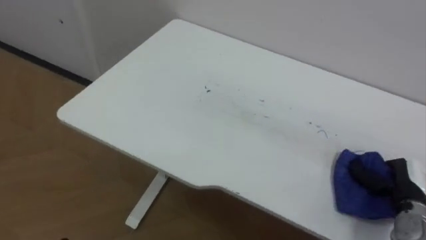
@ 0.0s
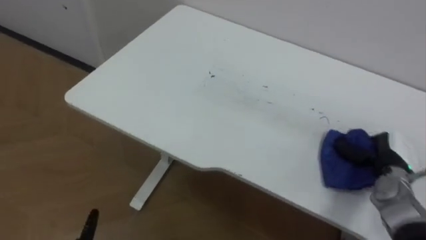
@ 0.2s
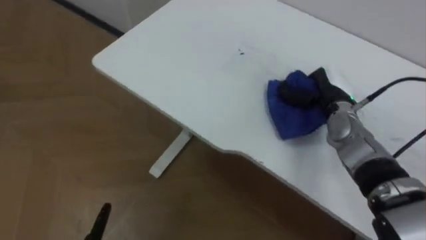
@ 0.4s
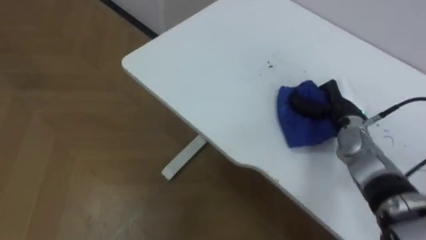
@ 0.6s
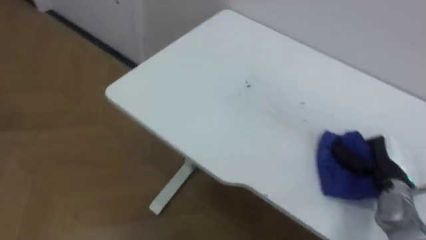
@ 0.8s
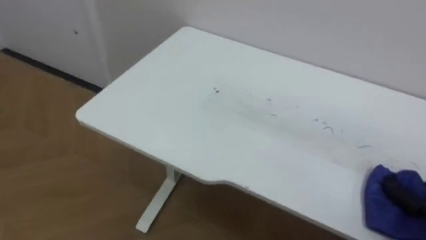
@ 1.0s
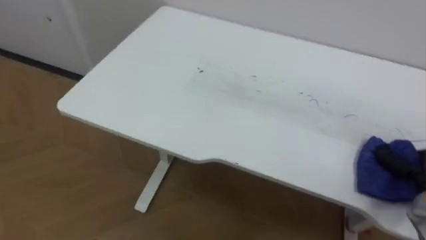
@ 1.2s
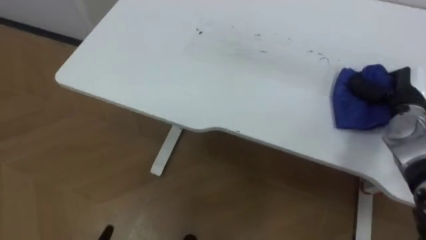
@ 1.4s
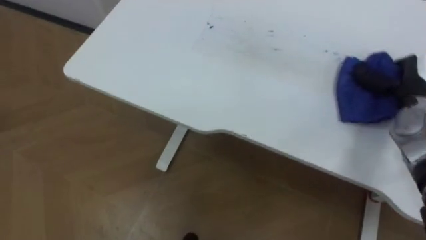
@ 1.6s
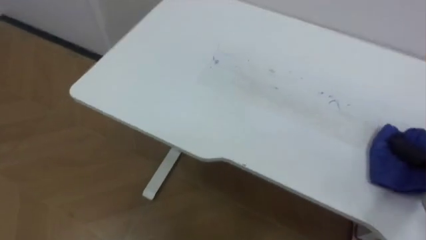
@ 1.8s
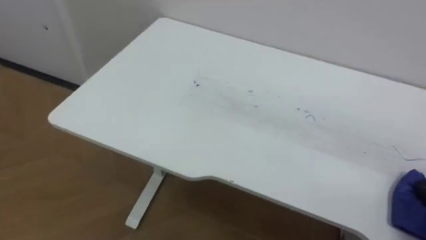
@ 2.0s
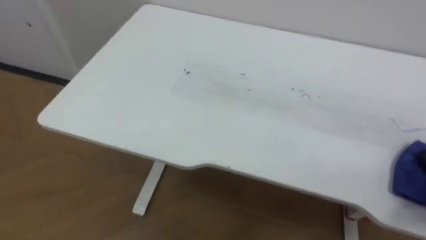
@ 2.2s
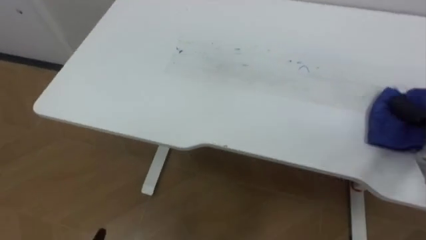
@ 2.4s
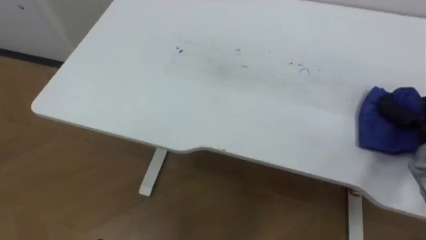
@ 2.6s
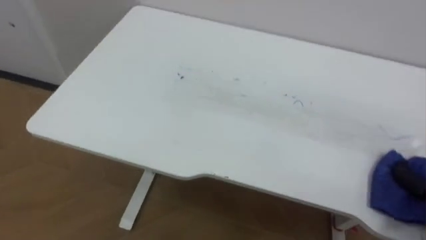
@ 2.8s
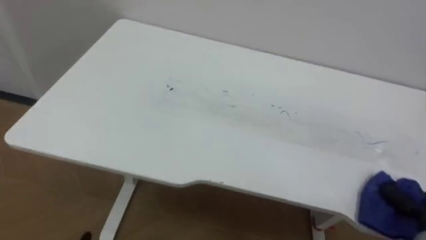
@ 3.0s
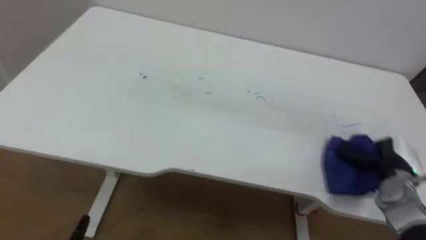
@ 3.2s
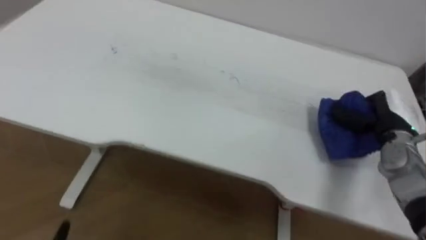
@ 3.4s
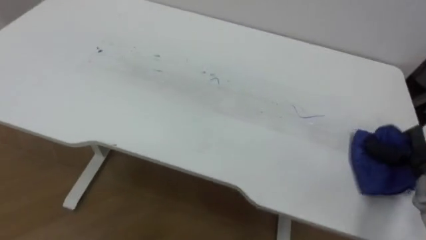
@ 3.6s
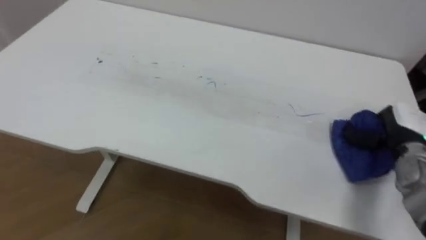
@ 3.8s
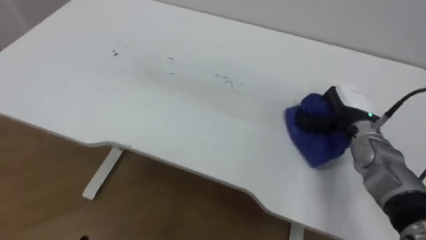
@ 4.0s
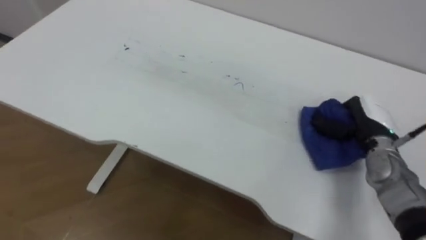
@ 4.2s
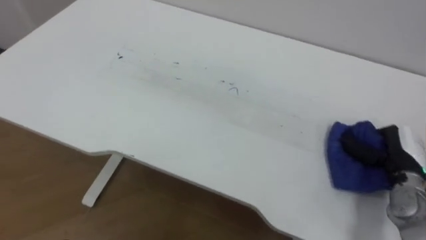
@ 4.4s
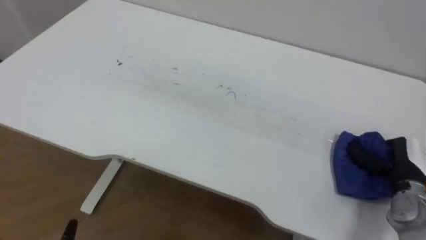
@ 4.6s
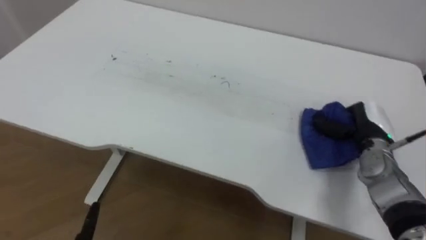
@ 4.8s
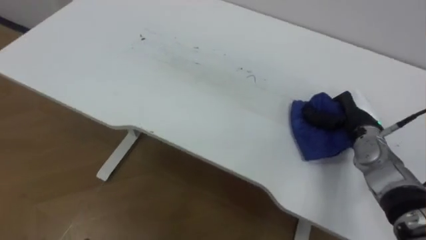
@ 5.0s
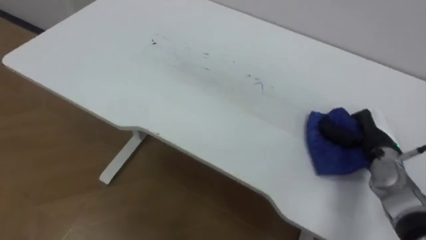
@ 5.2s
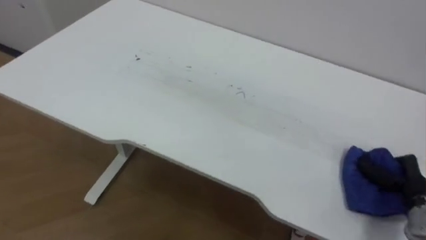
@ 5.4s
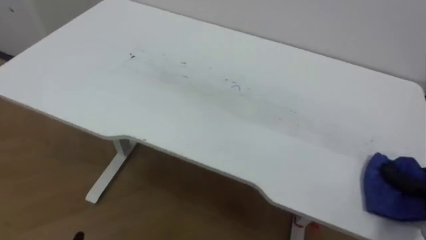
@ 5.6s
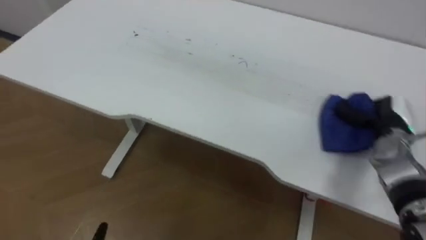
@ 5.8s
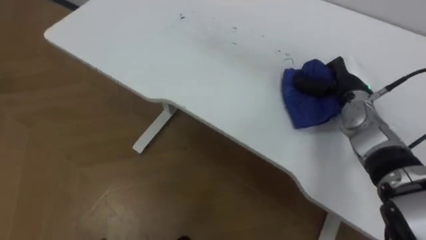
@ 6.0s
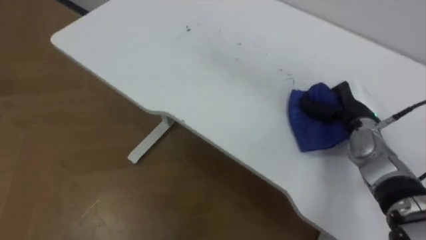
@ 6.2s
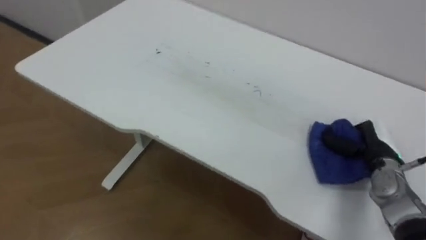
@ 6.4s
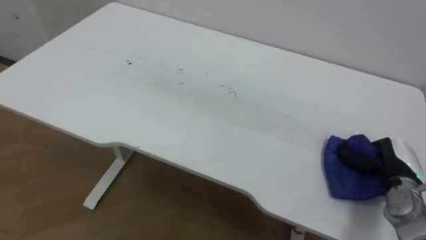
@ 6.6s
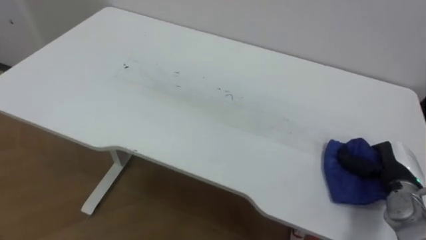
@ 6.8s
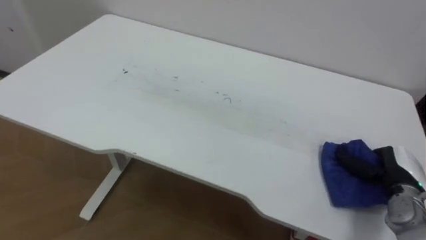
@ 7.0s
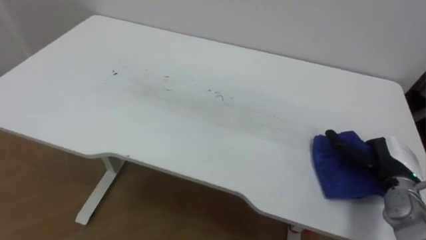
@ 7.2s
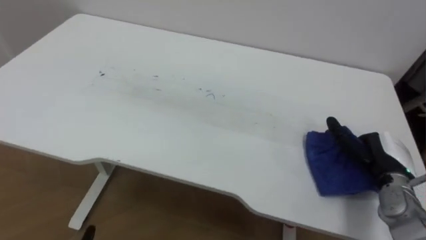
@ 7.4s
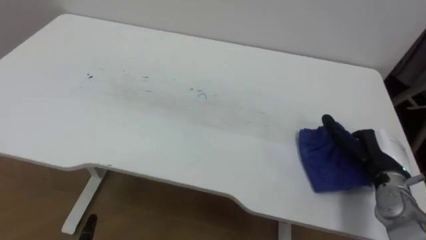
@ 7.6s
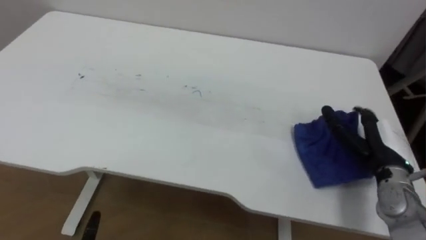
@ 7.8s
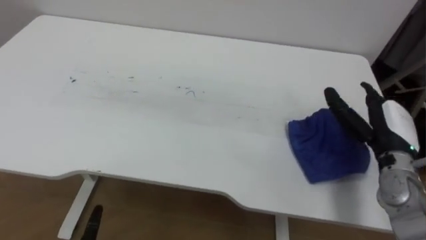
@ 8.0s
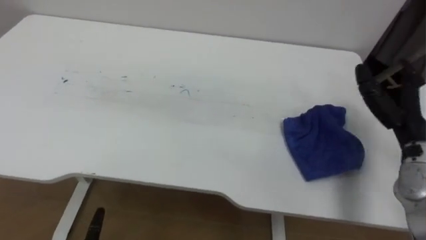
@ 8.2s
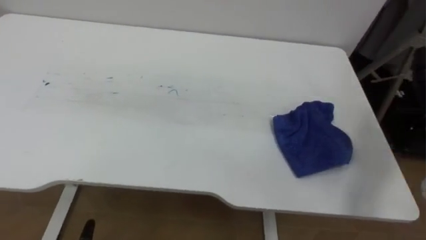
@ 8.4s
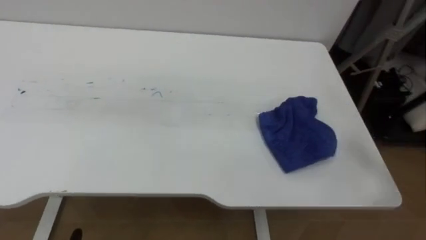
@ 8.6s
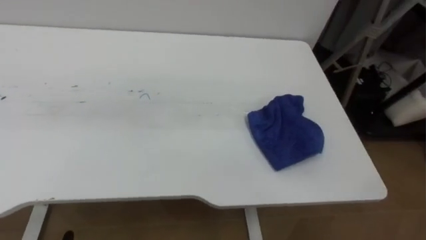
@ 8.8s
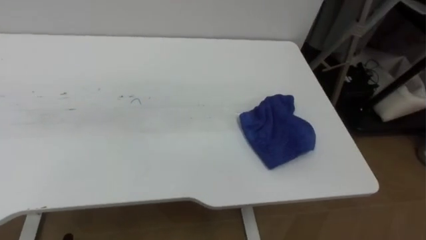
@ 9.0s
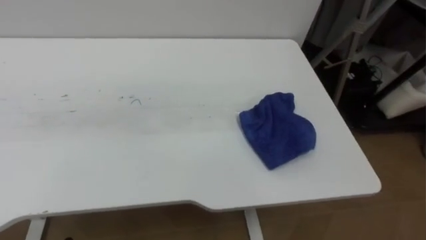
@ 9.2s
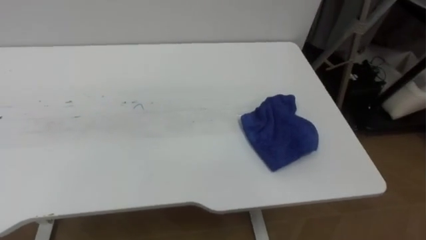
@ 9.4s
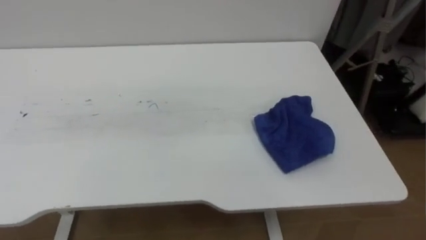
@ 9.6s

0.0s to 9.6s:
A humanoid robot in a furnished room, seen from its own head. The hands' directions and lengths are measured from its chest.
Task of the whole recording: Wipe the blue pen marks off the table with the rag.
3.2s to 4.8s: The right hand goes left and right, approximately 15 cm each way, reversing 2 times.
6.4s to 8.0s: The right hand heads upward, covering about 5 cm, and opens.

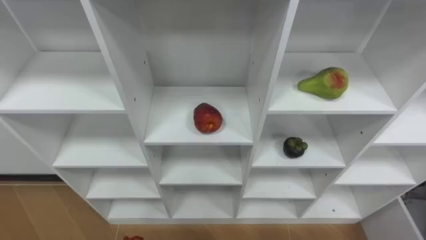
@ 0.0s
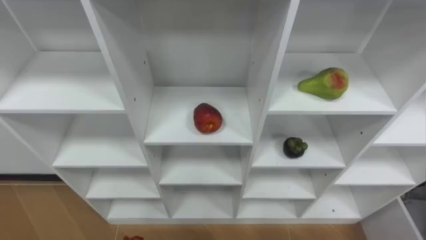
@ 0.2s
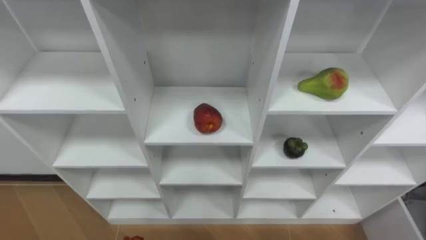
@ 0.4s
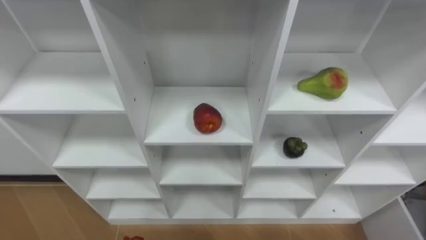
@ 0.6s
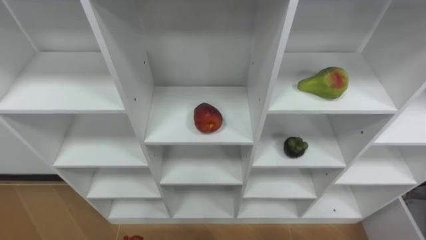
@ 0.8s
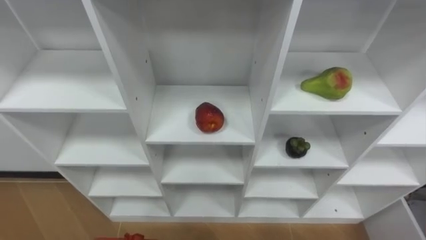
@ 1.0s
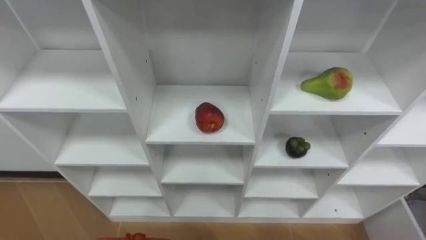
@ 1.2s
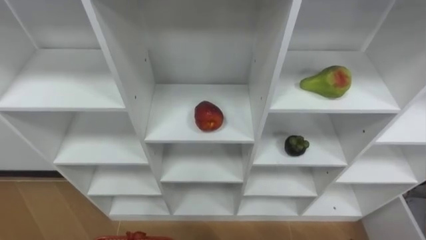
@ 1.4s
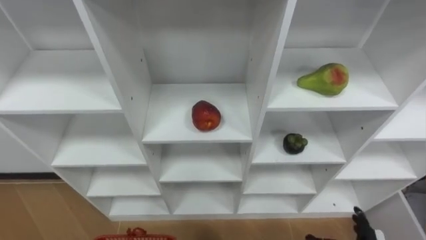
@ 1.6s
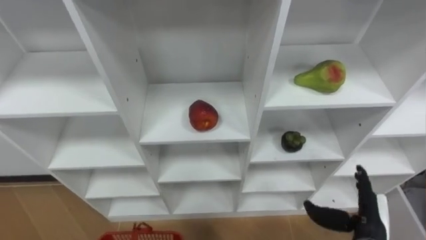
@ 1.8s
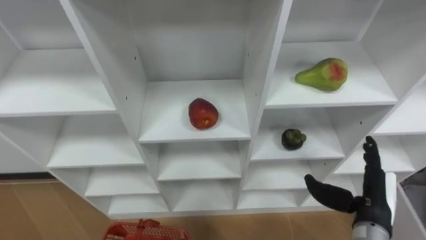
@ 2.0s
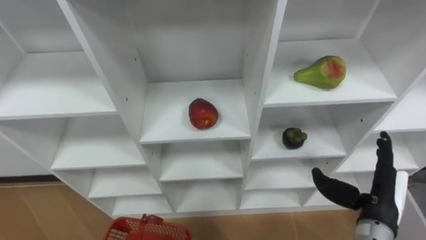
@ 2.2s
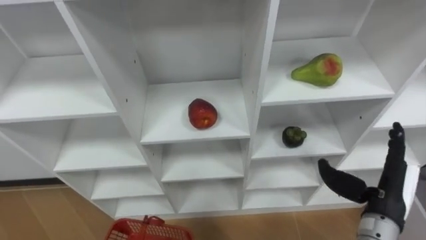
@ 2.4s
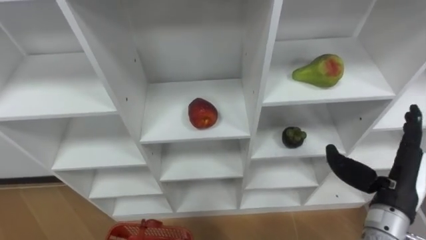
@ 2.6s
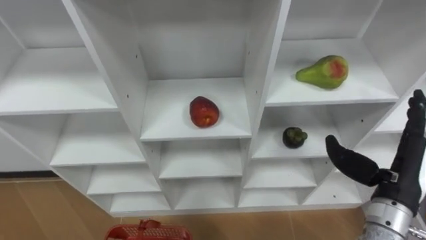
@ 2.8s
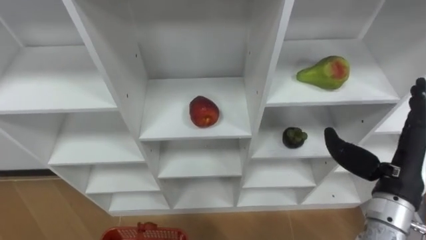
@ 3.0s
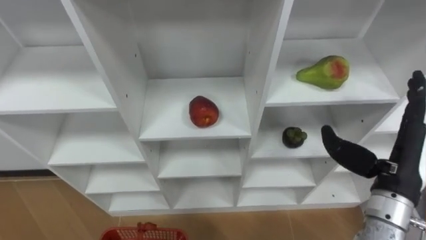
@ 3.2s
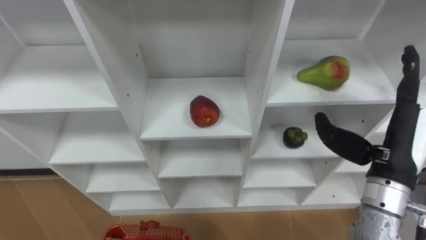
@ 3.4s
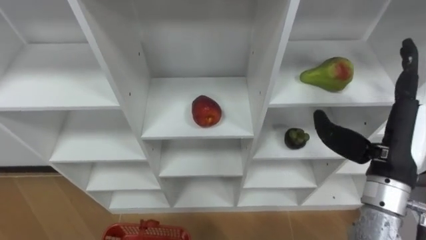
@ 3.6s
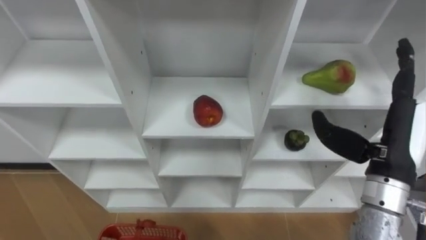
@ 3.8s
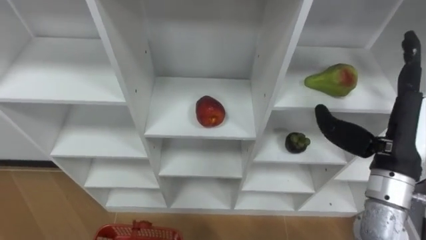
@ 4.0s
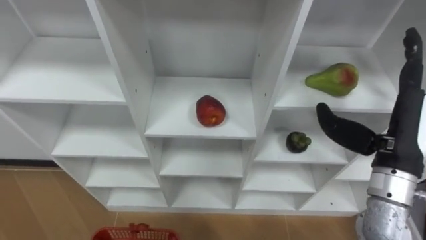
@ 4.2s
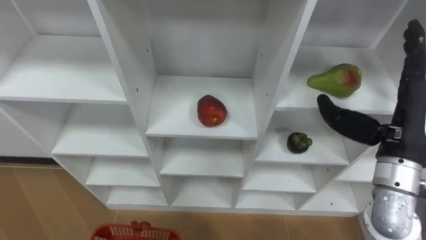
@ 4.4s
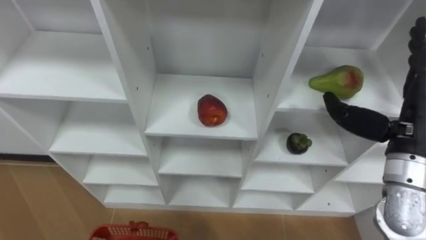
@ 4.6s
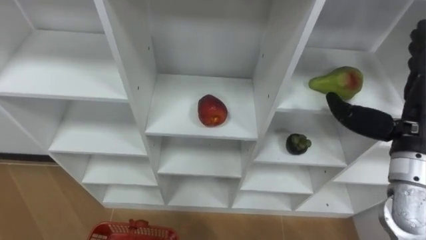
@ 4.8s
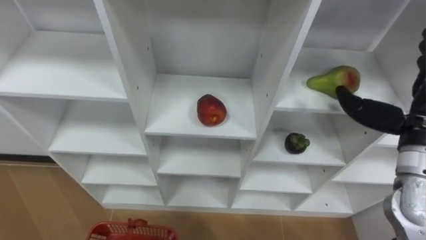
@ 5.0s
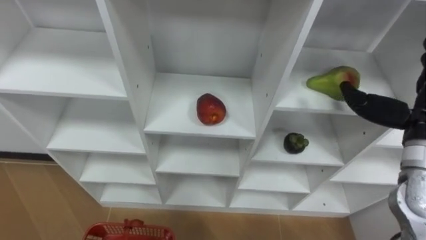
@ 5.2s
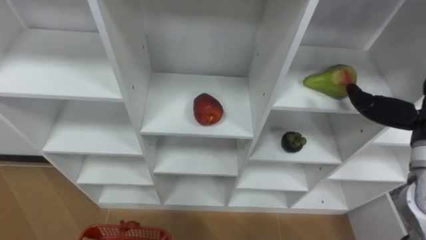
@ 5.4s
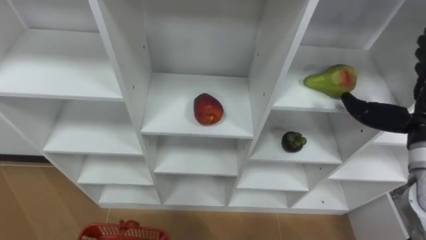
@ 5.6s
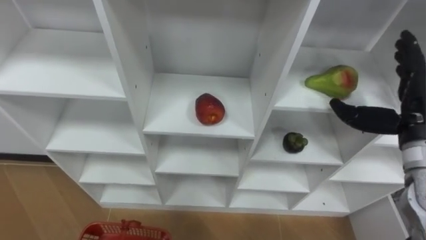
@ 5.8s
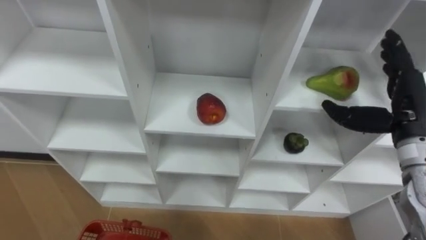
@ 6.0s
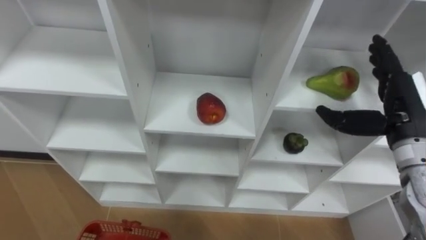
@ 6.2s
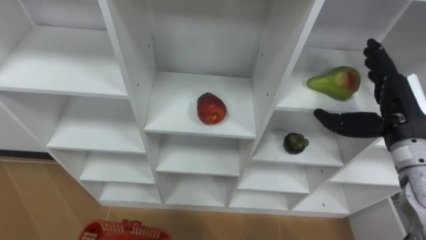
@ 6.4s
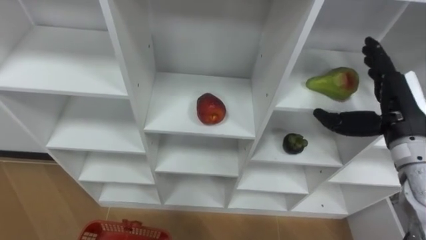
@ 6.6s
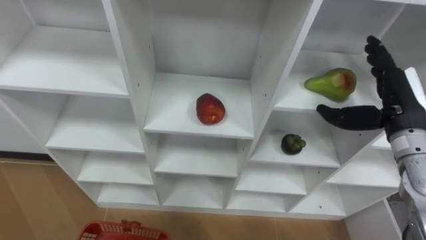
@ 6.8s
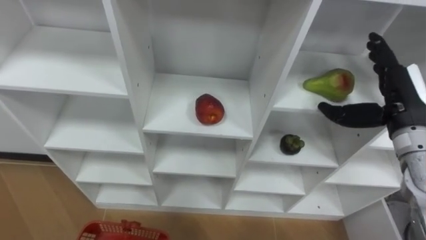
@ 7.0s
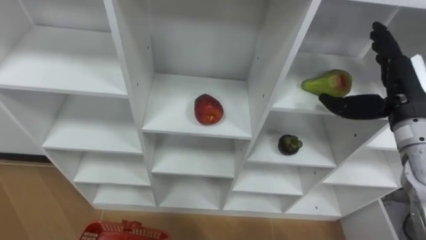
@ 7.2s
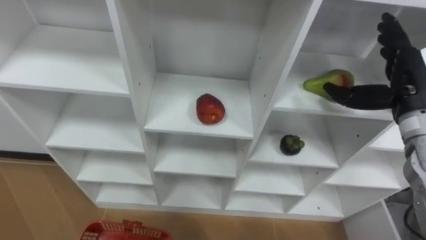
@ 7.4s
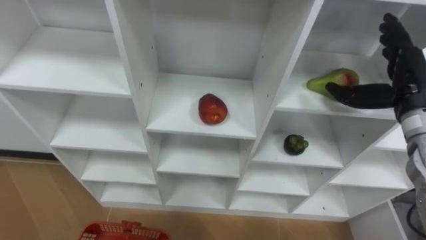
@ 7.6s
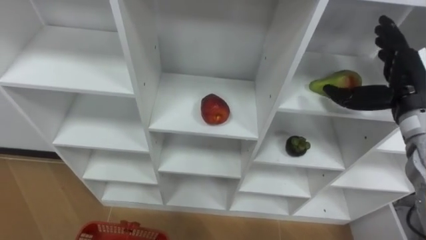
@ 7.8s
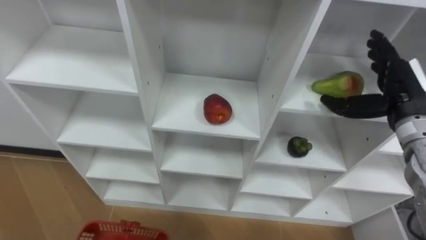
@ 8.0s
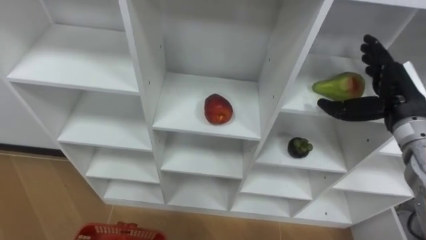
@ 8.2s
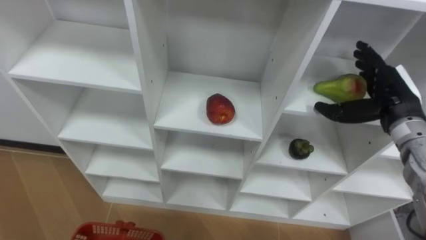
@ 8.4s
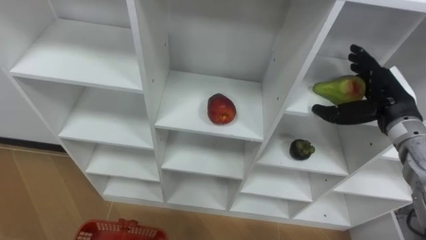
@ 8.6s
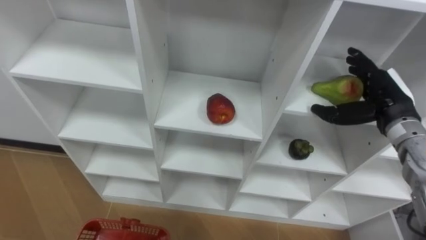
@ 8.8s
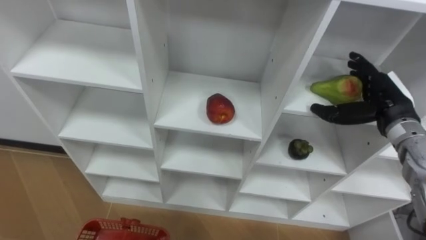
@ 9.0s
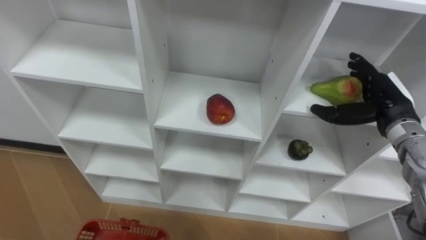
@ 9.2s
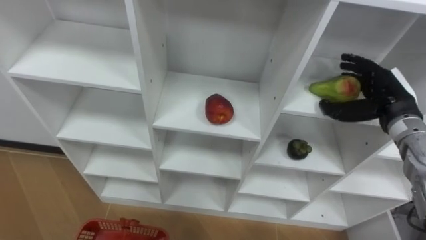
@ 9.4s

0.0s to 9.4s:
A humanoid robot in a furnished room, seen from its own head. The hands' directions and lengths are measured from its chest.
Task of the whole recording: Hold the basket and collect the fruits from 3 different cells of the closet into it.
3.2s to 4.8s: The right hand changes place by some 5 cm.
7.8s to 9.4s: The right hand is displaced downward by some 5 cm.
